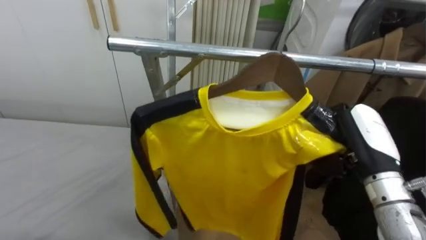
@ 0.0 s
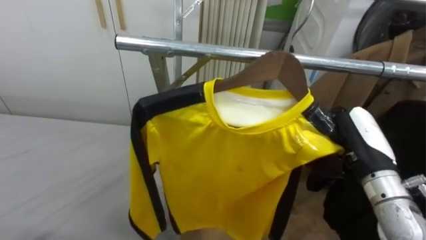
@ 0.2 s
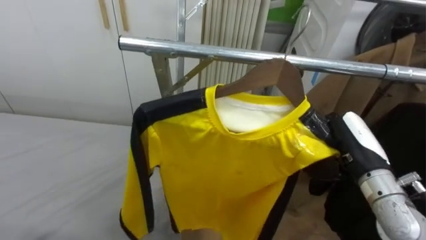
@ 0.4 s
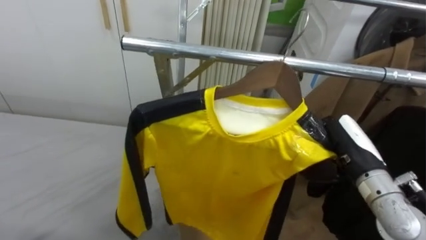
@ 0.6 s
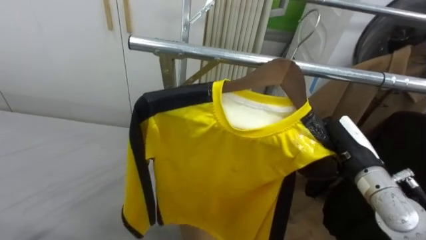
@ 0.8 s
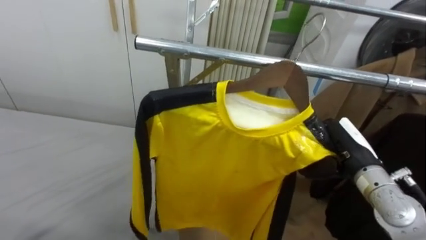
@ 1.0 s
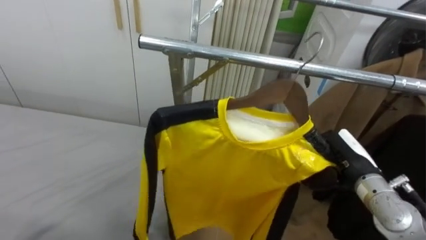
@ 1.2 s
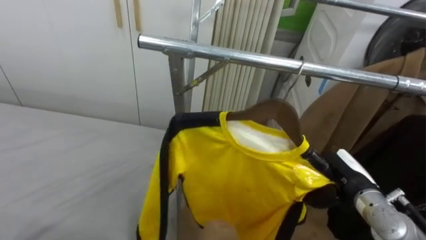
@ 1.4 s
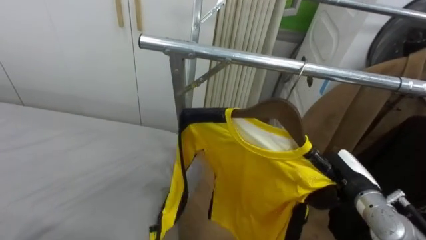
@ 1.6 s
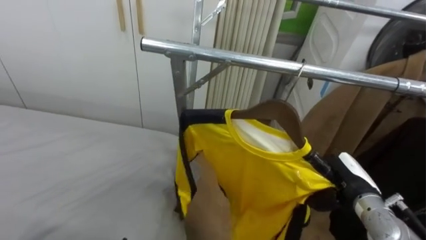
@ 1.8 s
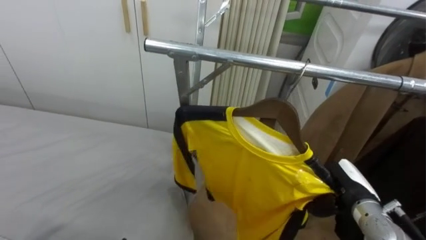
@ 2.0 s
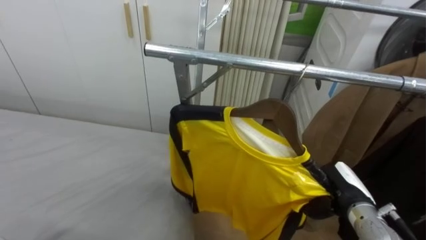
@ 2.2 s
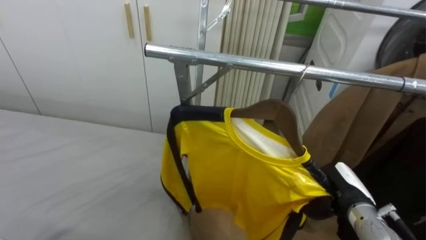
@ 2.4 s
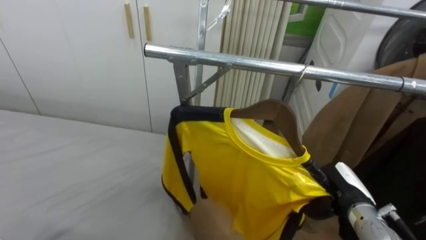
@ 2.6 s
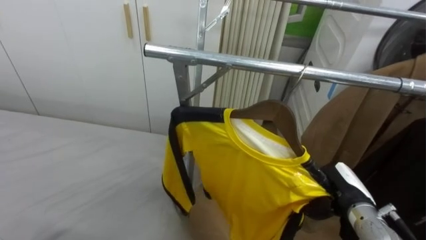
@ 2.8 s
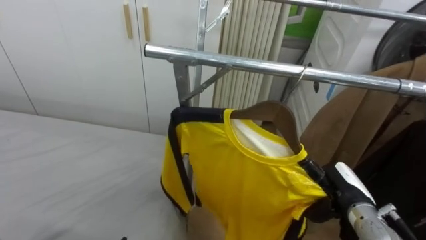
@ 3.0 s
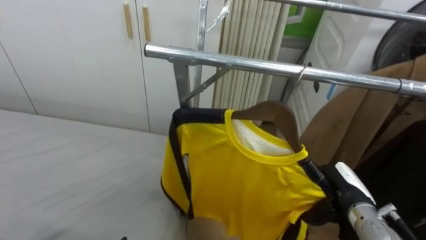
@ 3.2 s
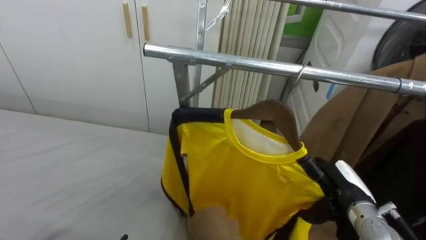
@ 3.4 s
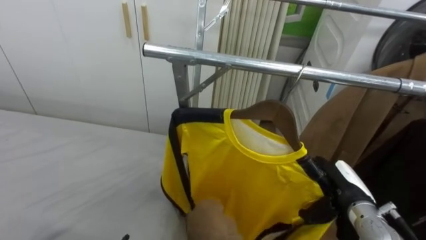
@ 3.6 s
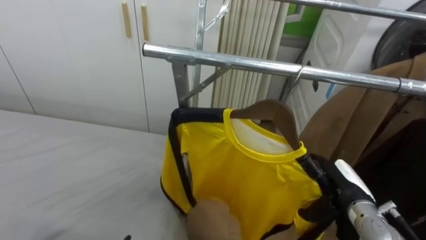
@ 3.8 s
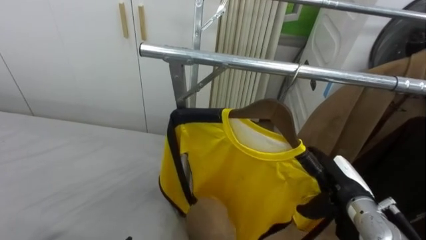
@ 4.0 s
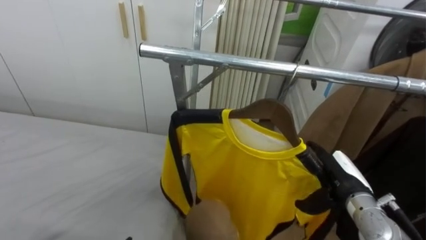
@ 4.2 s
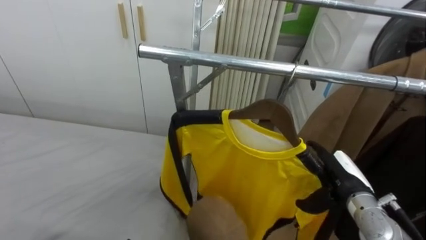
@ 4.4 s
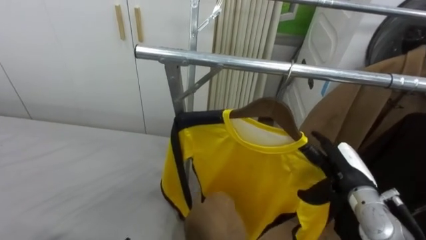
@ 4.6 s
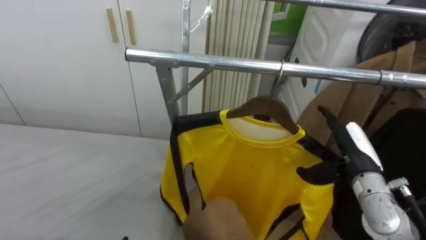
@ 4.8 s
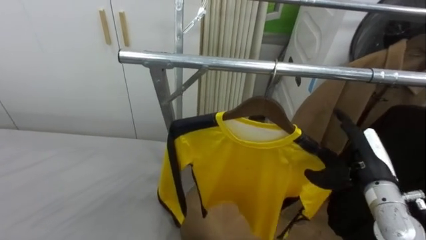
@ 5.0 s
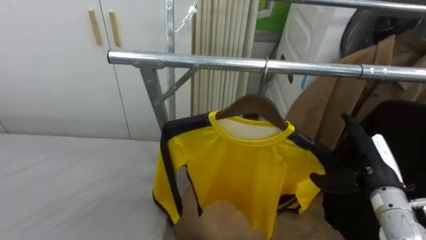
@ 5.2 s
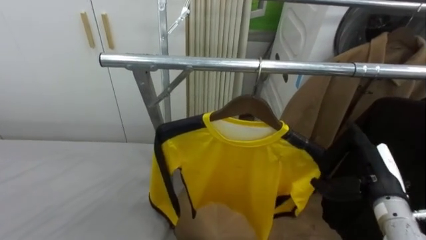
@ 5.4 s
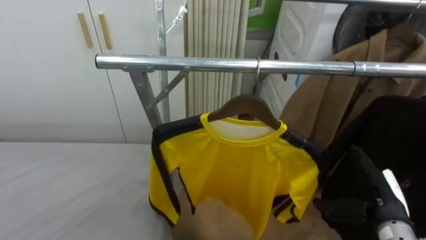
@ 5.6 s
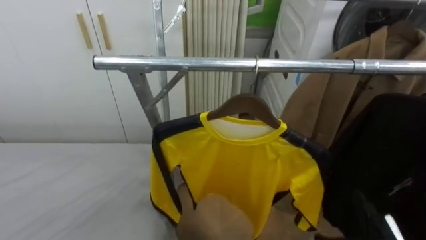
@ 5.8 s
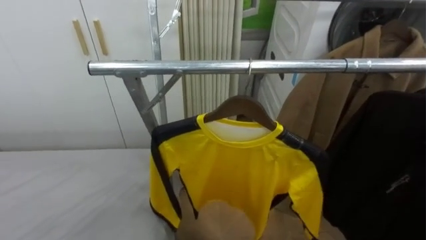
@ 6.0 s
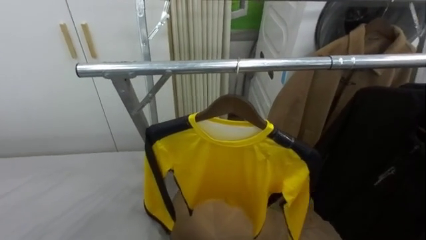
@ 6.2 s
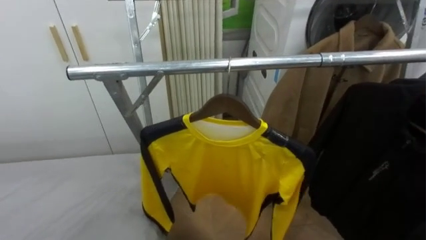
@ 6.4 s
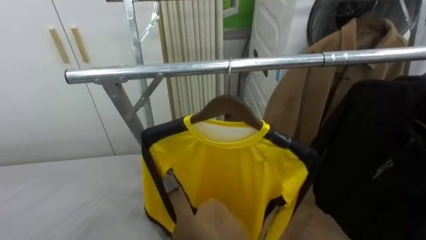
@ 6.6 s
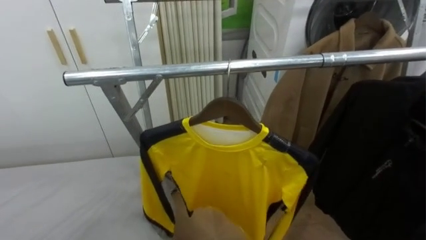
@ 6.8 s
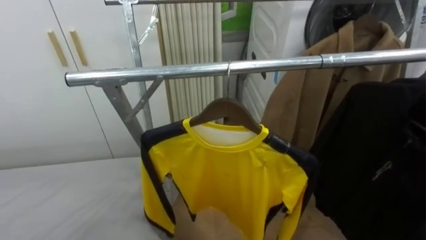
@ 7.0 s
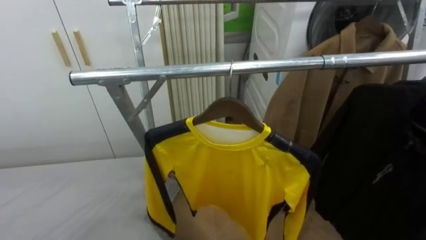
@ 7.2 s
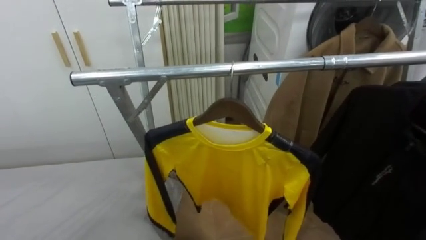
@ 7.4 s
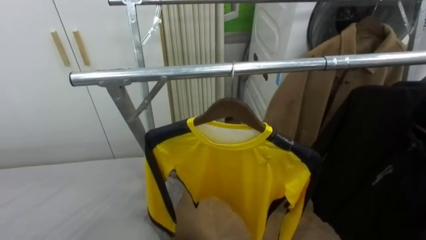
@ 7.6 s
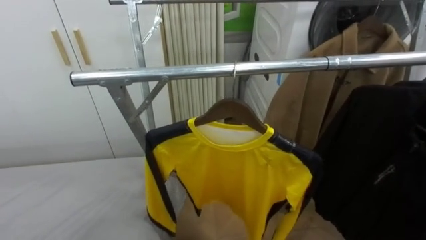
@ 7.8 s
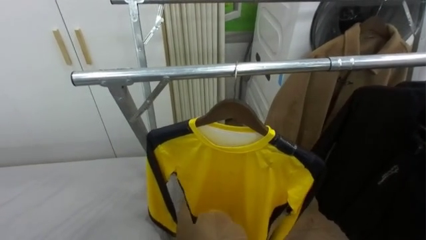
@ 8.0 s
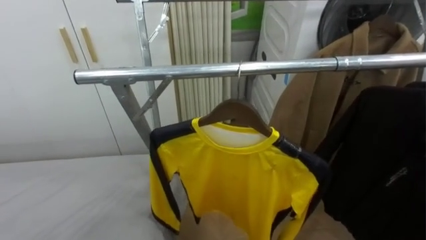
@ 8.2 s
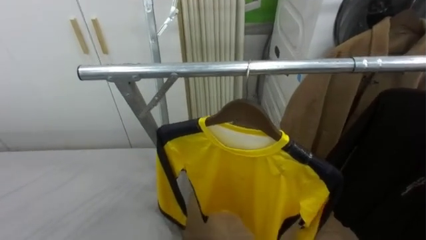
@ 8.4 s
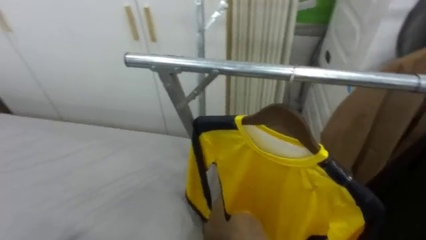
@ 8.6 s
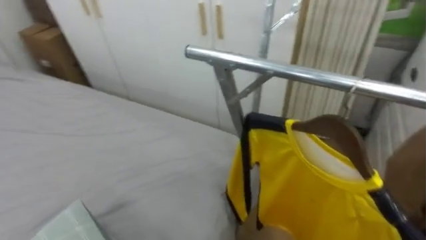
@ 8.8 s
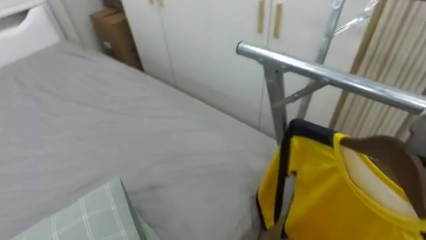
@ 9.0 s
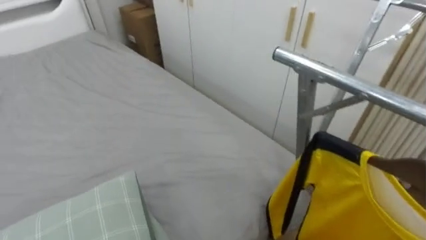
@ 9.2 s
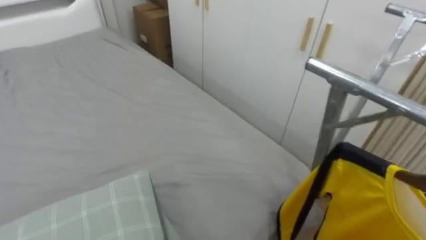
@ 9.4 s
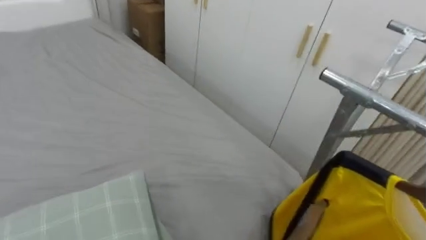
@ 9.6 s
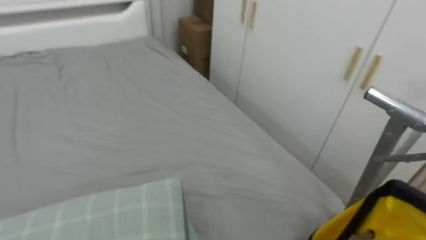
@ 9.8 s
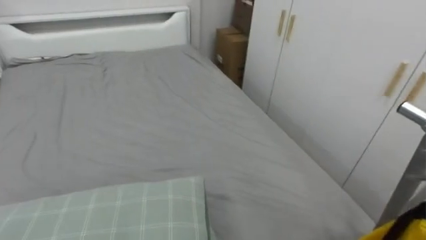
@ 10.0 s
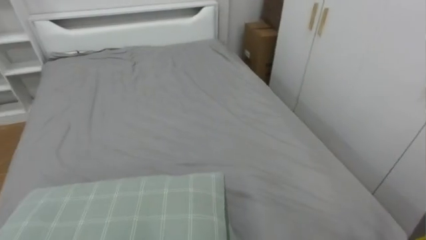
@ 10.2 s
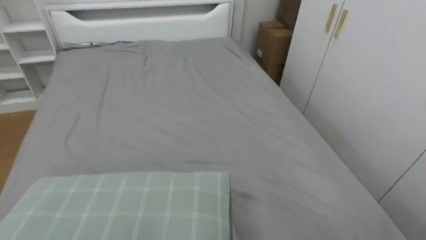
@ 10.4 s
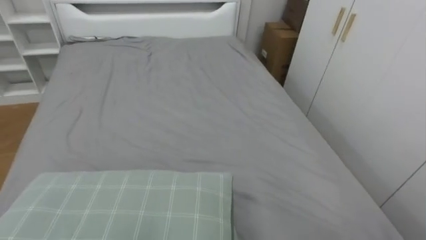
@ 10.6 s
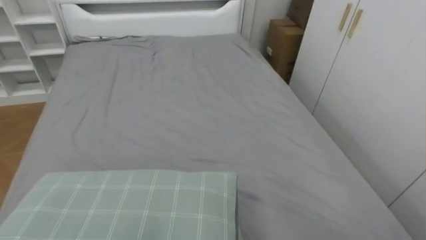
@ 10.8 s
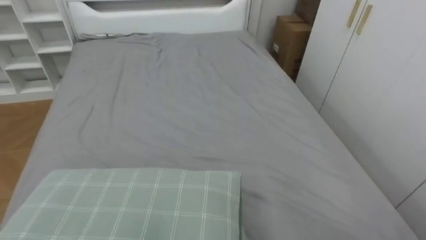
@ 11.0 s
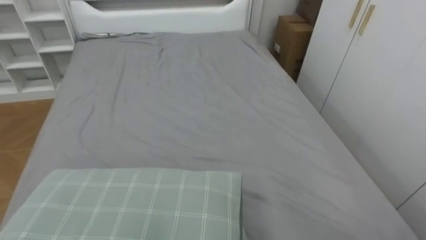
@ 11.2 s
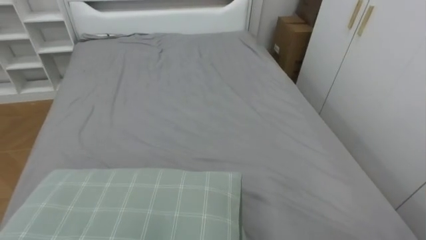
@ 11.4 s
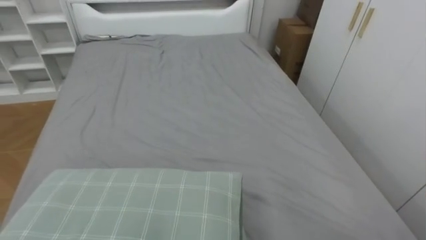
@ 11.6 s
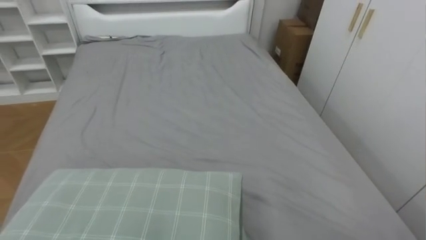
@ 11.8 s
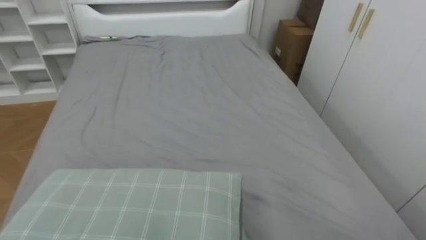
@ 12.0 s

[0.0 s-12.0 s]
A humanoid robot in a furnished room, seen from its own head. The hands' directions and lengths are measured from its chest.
Task of the whole recording: Pick up the yellow shirt on the bed and hang it on the clothes rack on the right.
0.0 to 1.6 s: The right hand is displaced downward by approximately 15 cm.
3.0 to 4.4 s: The right hand opens its fingers.
7.6 to 9.0 s: The robot faces approximately 45 degrees further to its left.
9.0 to 10.4 s: The robot's body swings about 35 degrees to its left.

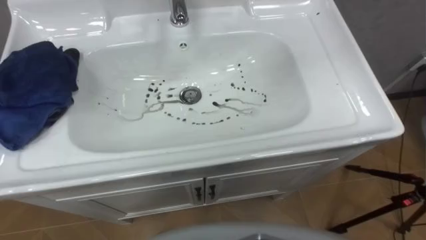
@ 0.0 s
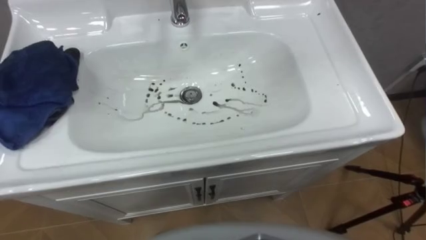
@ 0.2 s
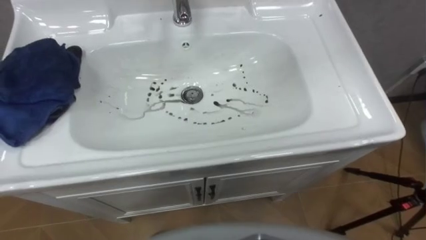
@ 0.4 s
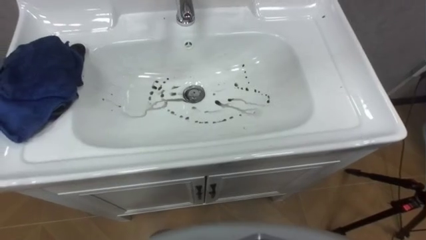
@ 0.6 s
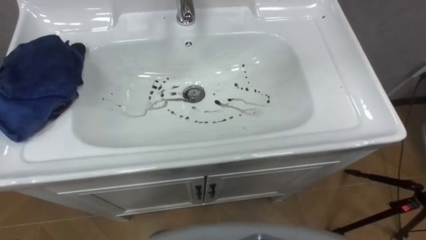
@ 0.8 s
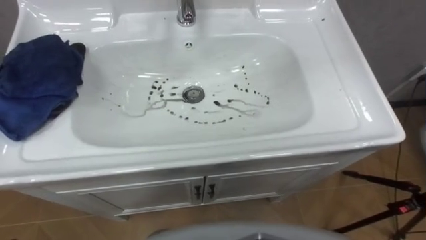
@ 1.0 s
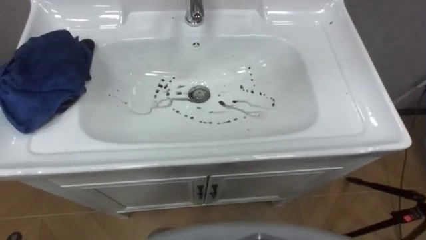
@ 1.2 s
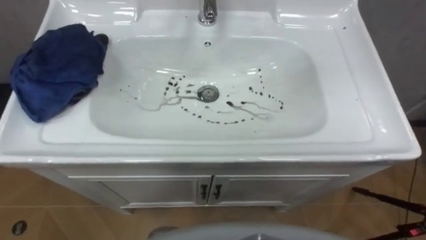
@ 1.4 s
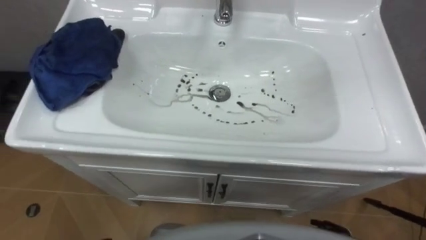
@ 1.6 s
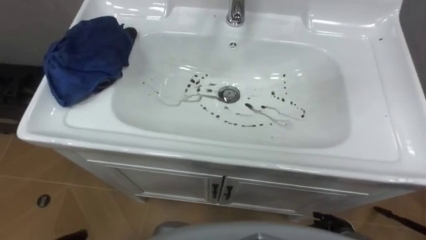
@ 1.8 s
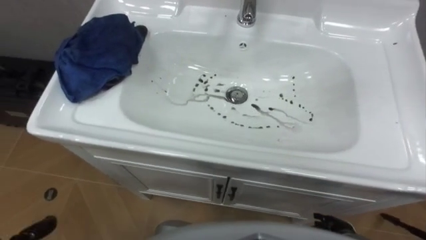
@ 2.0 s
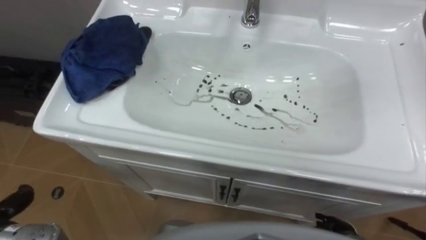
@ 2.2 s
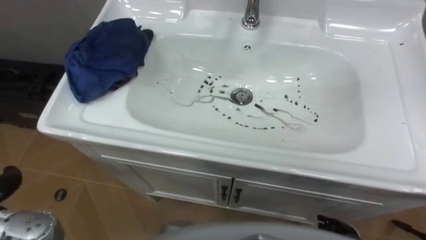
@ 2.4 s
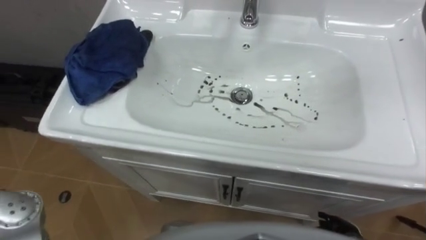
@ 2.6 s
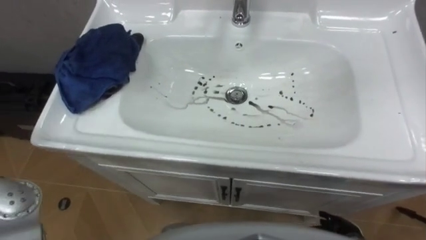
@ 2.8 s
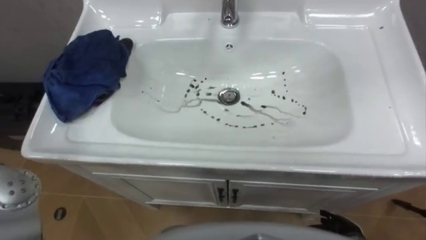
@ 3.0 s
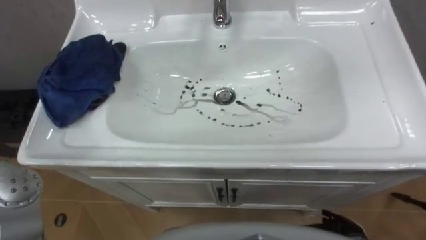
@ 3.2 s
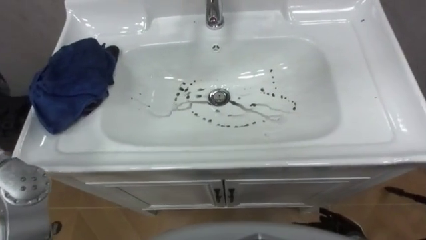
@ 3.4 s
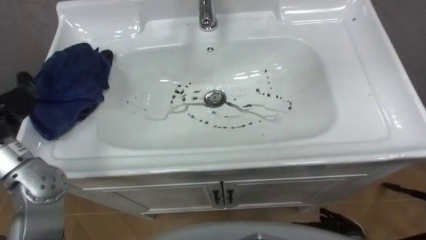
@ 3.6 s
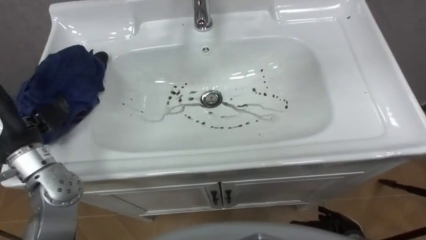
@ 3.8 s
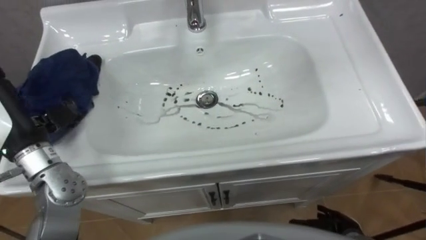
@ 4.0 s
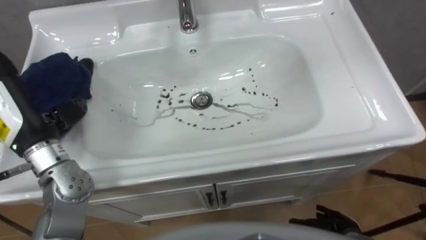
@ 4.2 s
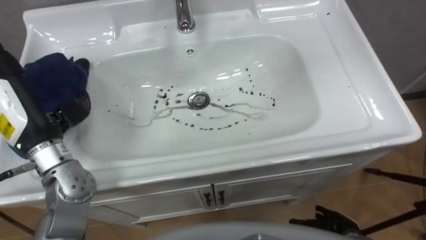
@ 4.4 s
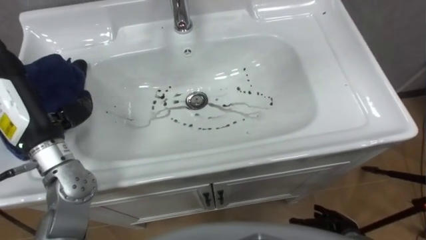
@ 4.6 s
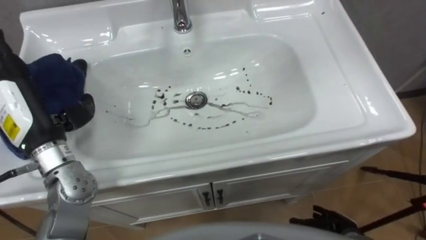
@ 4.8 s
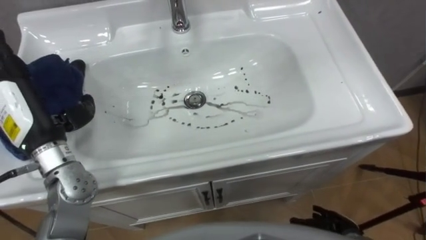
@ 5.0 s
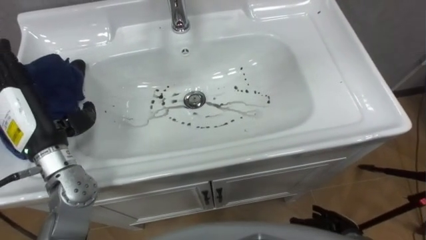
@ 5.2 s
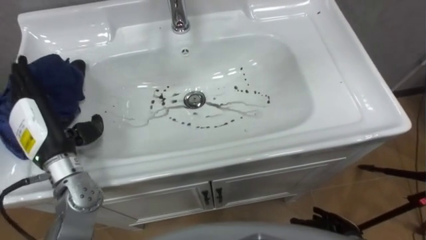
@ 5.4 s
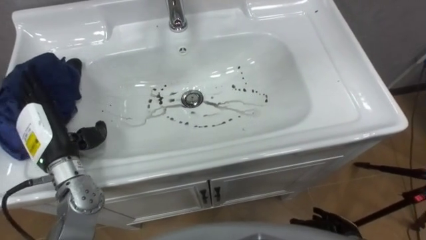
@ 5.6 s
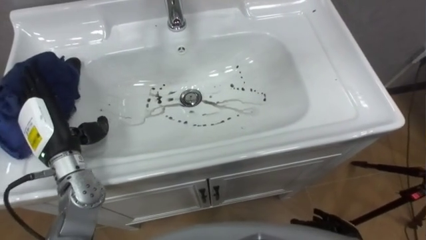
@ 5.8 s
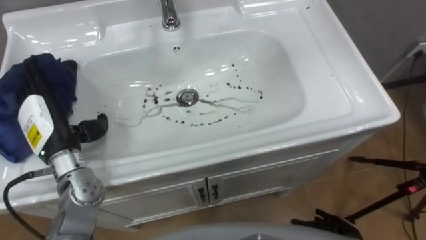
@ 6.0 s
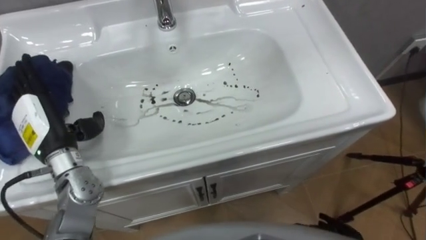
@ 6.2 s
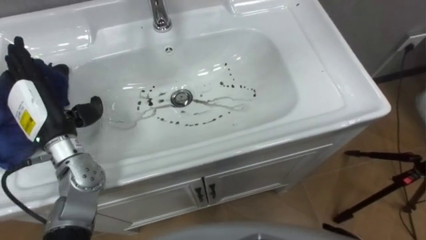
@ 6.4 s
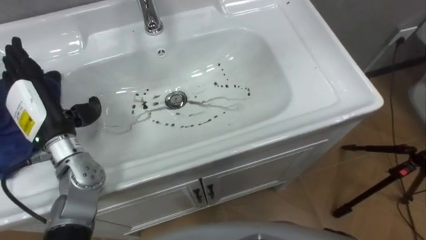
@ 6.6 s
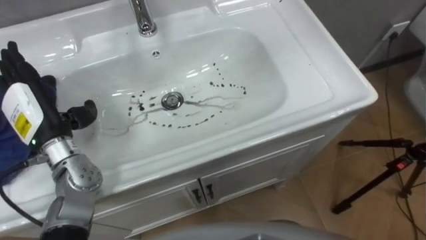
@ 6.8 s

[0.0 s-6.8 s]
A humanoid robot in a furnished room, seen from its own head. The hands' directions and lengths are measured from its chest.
Task of the whole recording: Use the cloth on the right to wipe away the black stain in the sink.
4.0 to 5.4 s: The left hand shifts approximately 5 cm downward.
